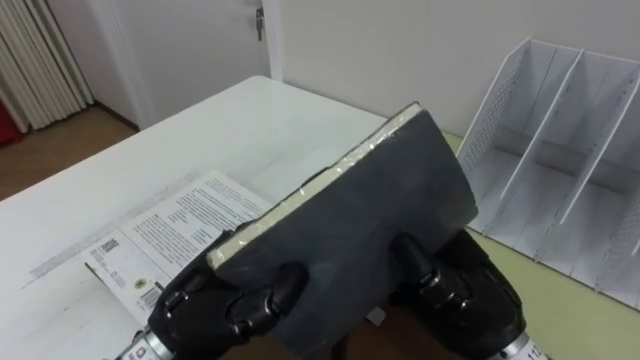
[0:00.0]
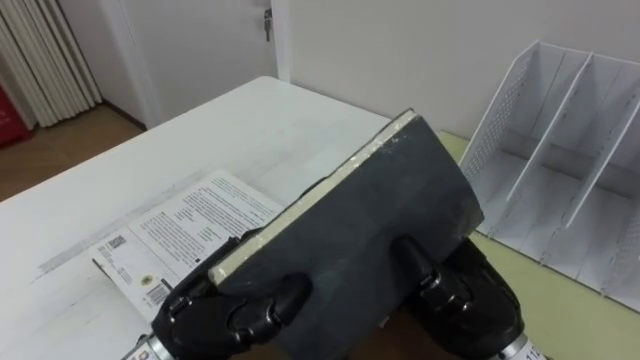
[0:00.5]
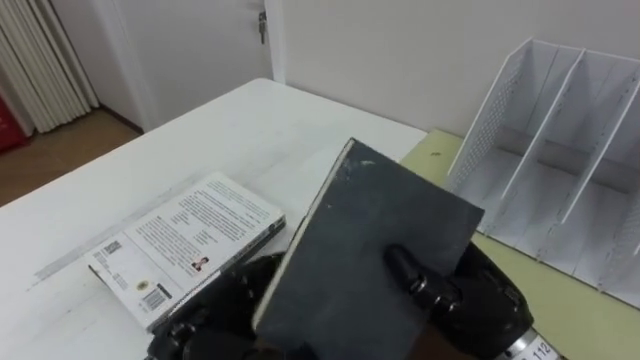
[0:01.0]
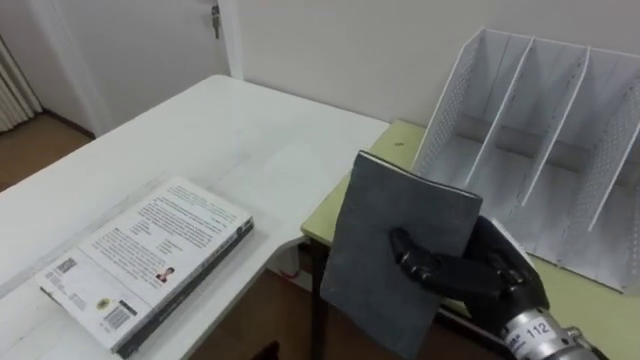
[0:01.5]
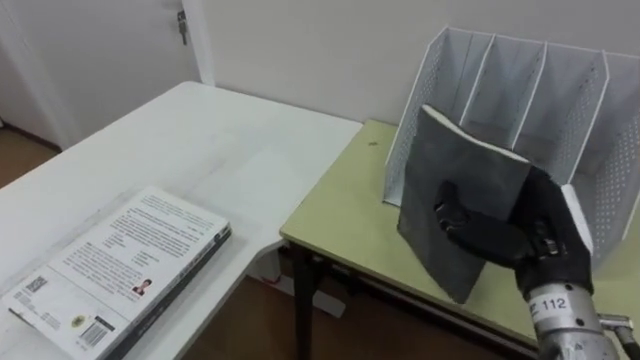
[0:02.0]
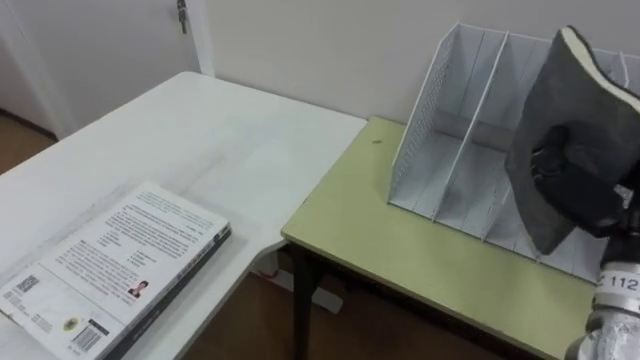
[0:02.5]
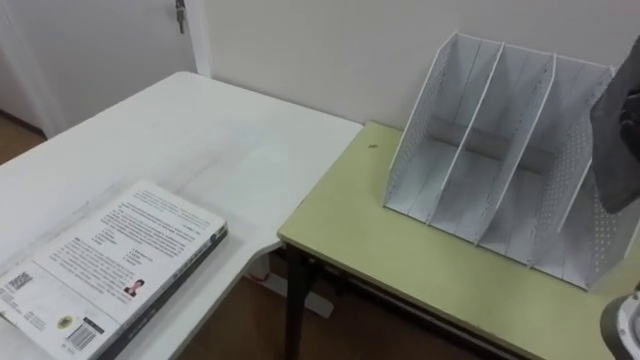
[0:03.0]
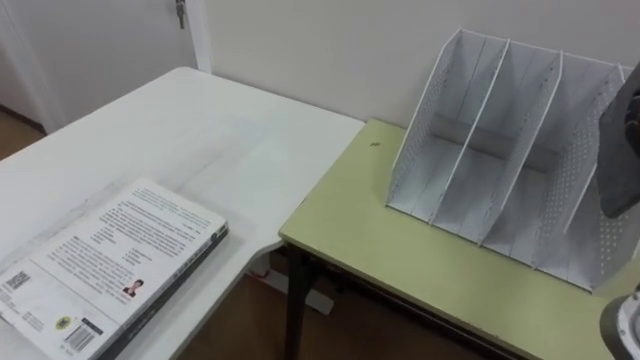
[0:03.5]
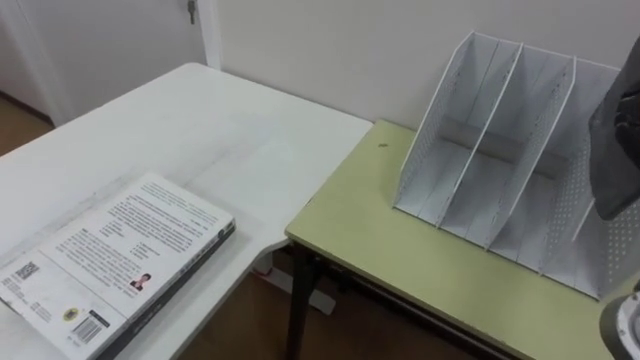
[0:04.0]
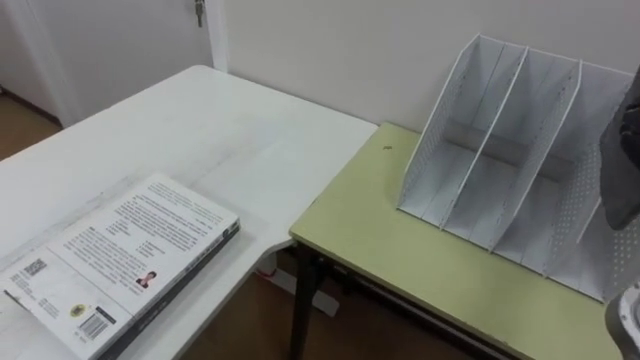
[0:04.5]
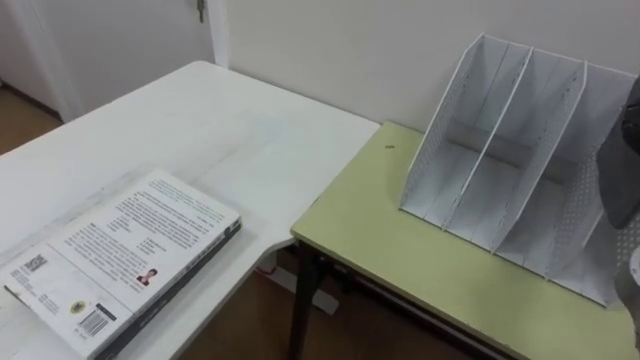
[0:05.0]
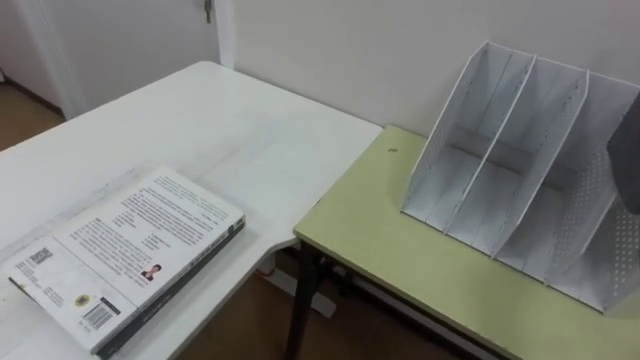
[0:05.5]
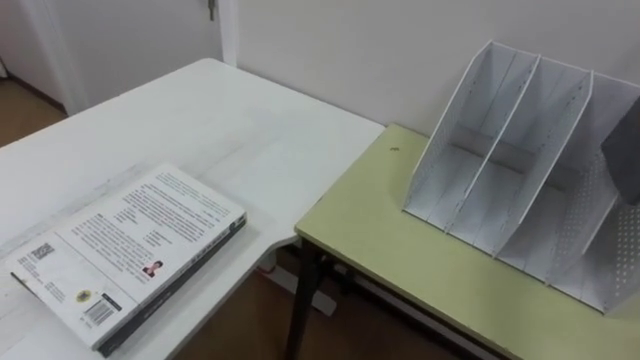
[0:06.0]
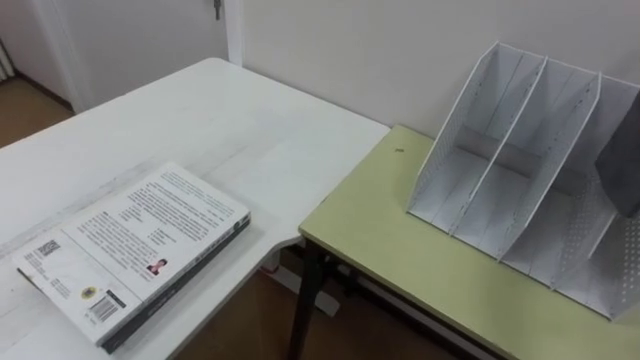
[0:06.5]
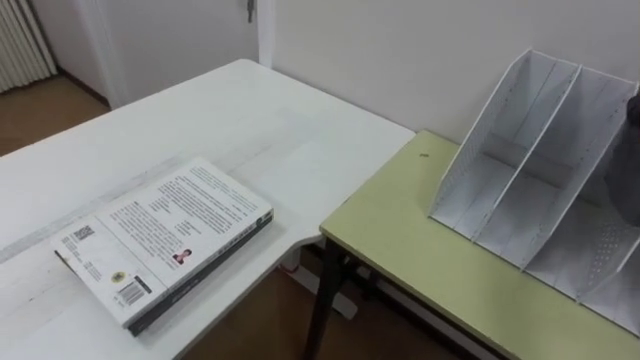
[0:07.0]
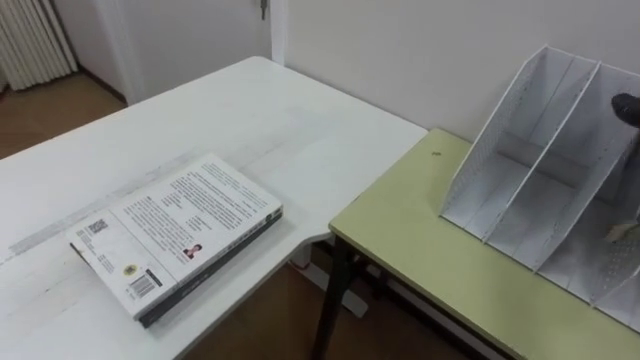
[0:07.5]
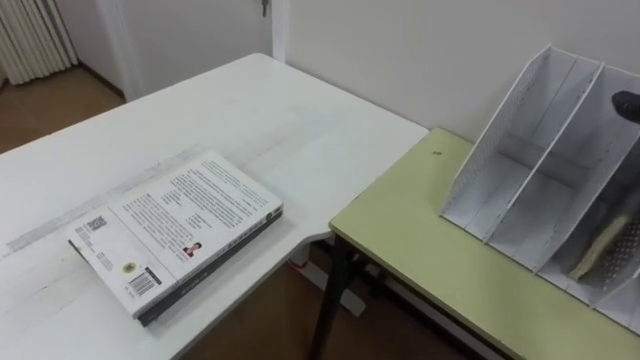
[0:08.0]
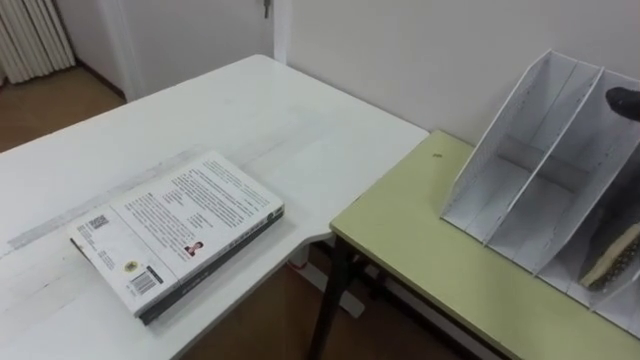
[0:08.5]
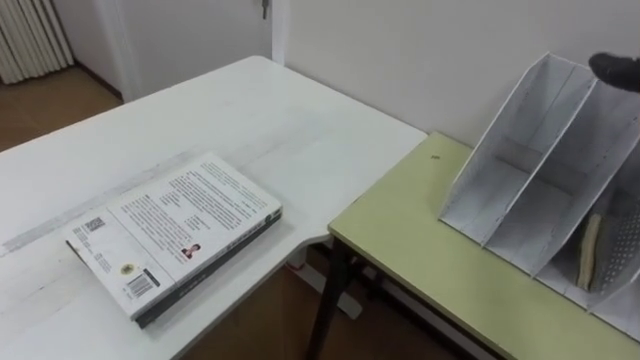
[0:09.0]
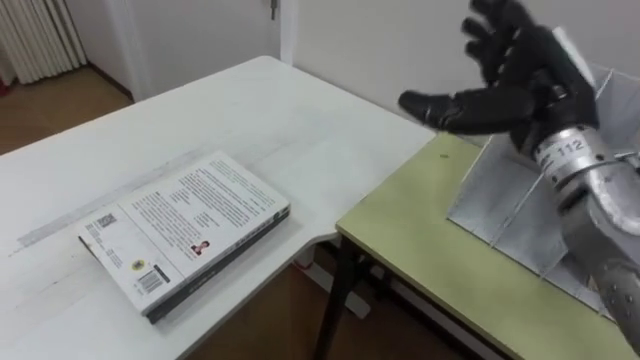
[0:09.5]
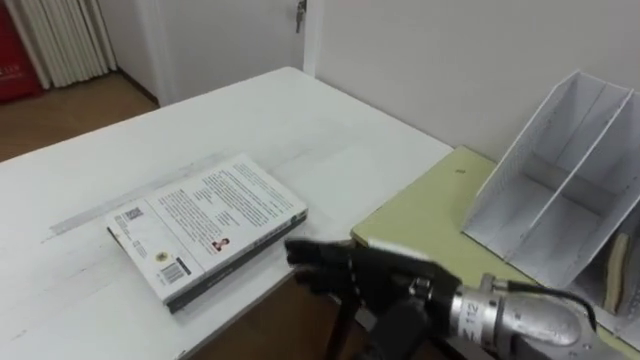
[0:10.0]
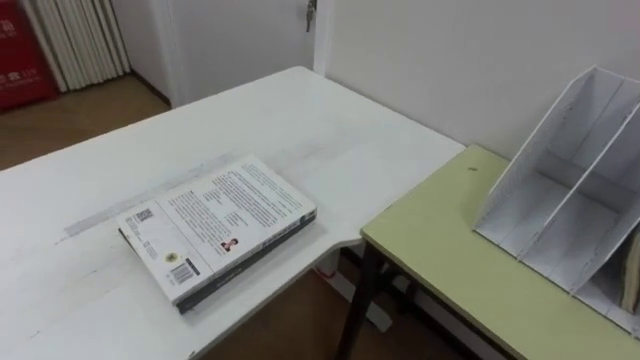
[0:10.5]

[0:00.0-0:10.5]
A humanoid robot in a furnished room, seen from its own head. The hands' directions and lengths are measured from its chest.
Task of the whole recording: Put the books on the table onto the bookshelf.
0:00.0 to 0:02.0: The right hand moves to the right, approximately 10 cm.

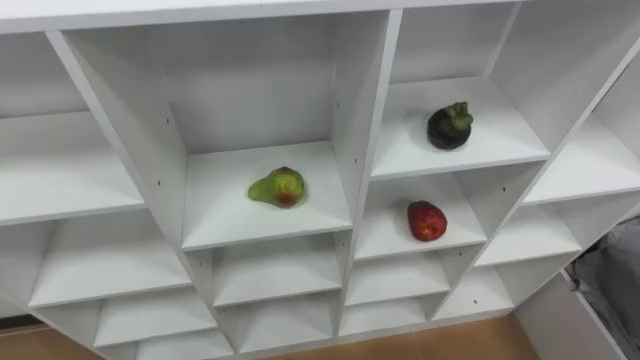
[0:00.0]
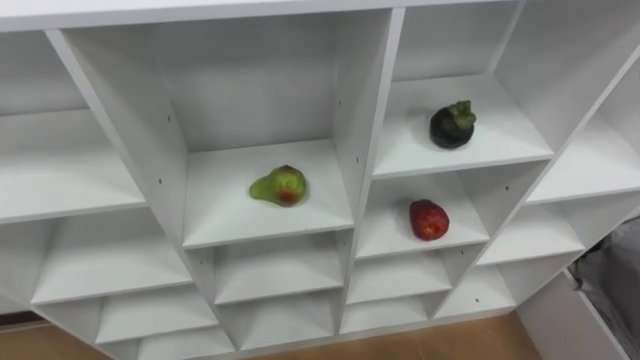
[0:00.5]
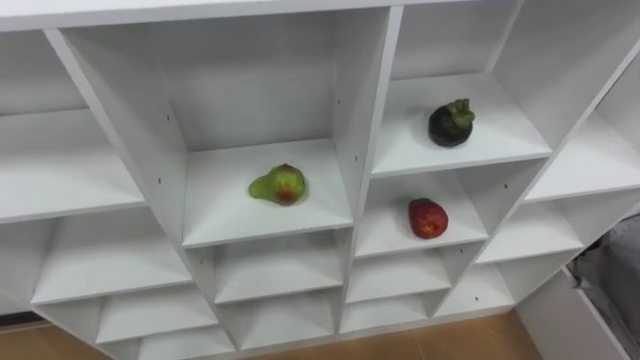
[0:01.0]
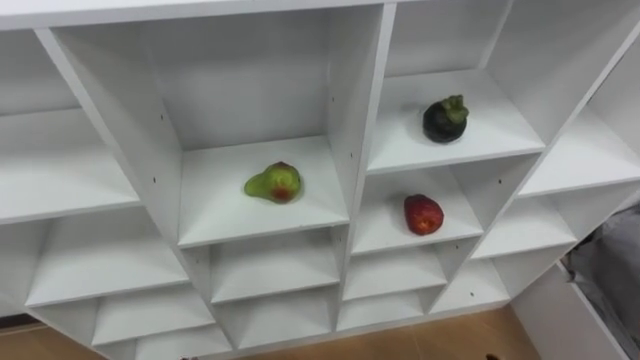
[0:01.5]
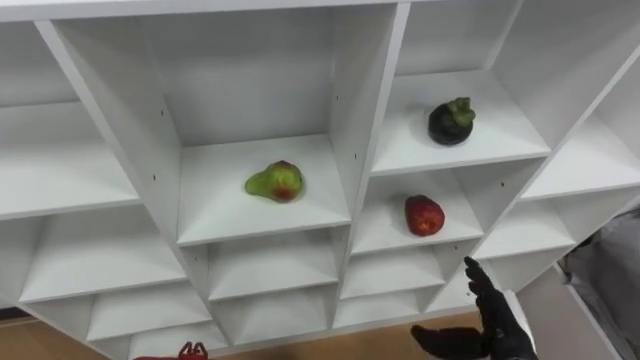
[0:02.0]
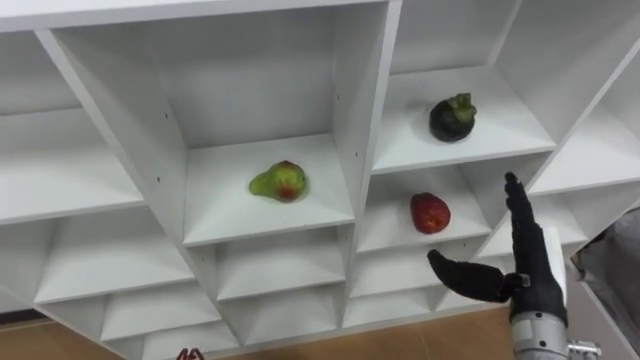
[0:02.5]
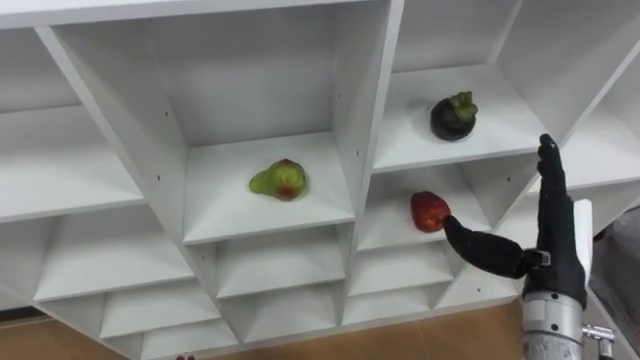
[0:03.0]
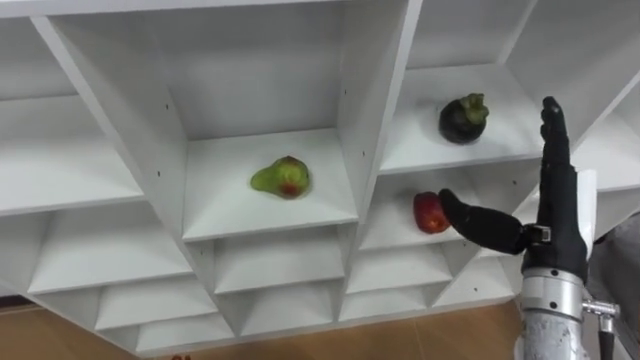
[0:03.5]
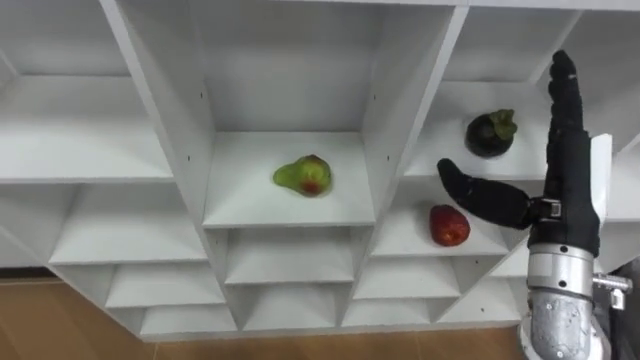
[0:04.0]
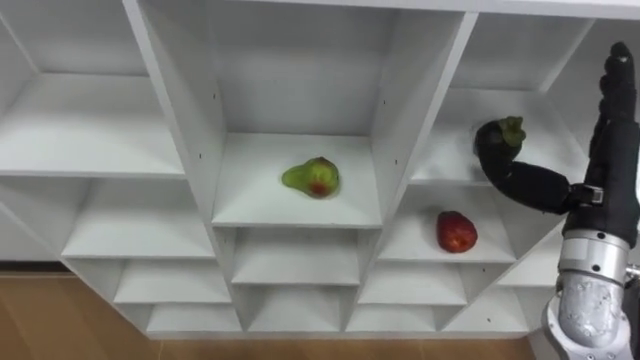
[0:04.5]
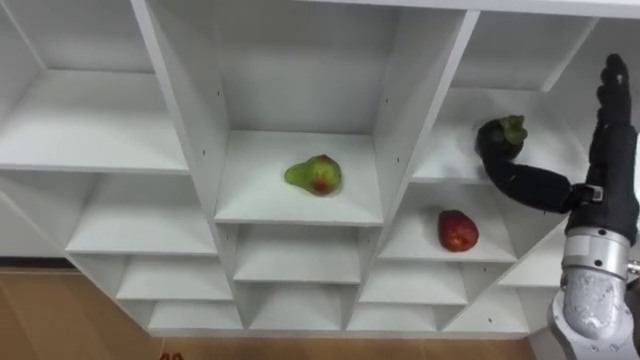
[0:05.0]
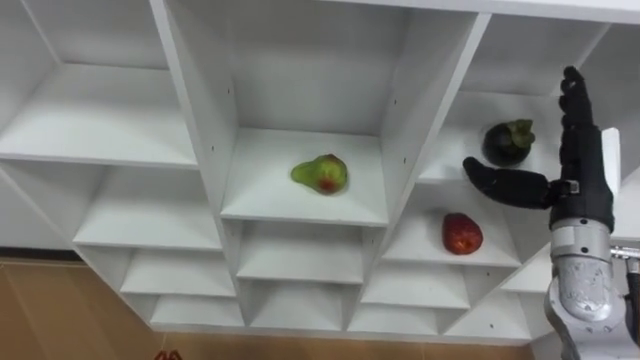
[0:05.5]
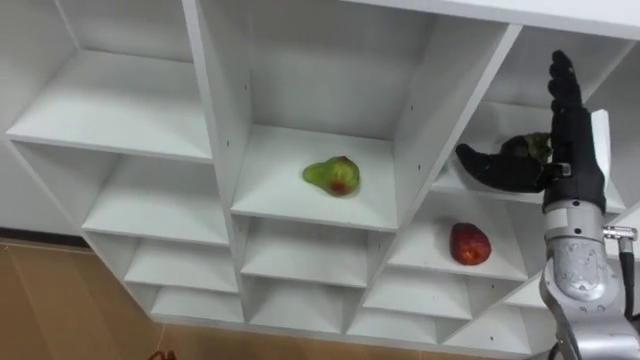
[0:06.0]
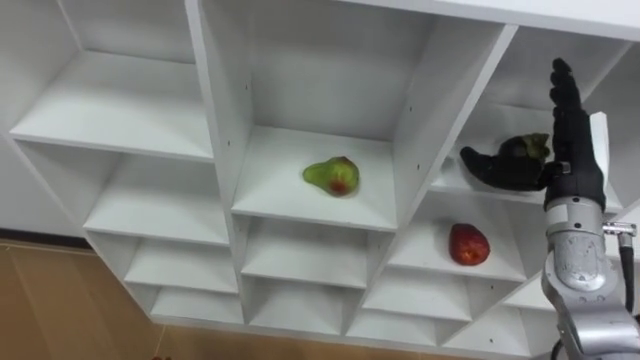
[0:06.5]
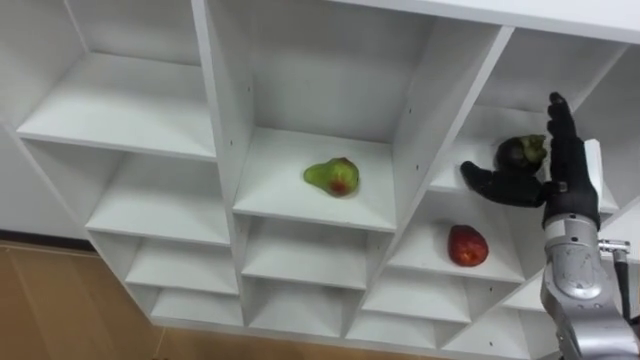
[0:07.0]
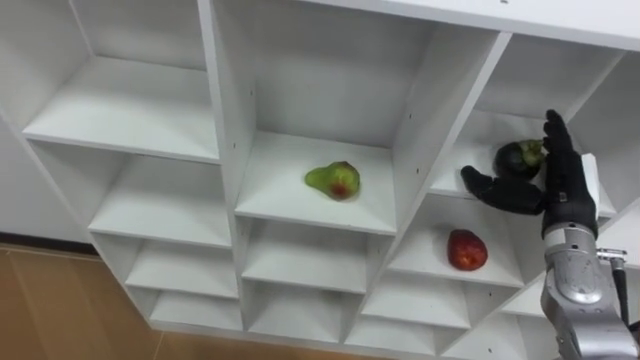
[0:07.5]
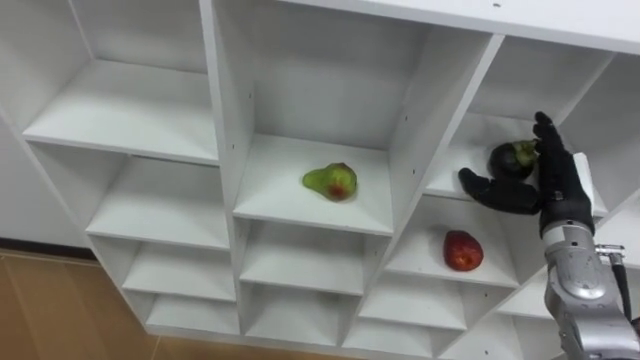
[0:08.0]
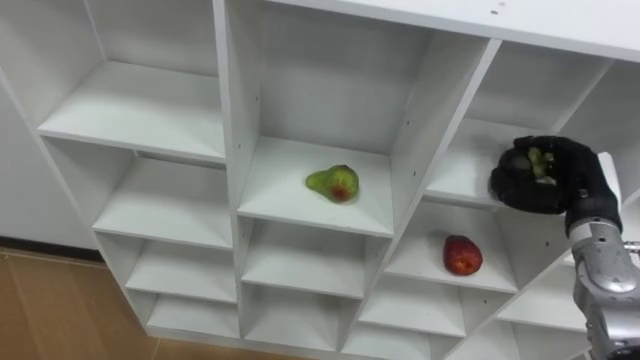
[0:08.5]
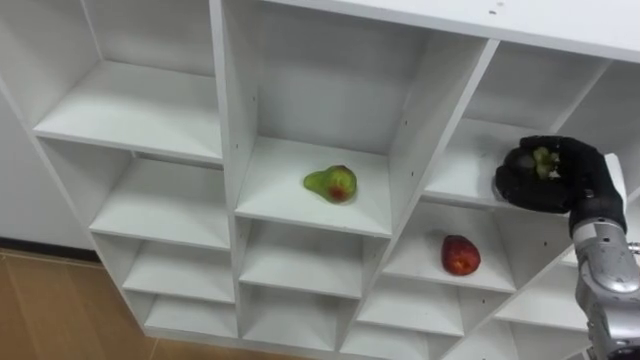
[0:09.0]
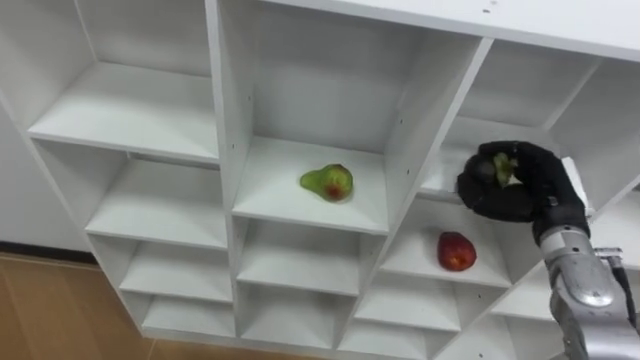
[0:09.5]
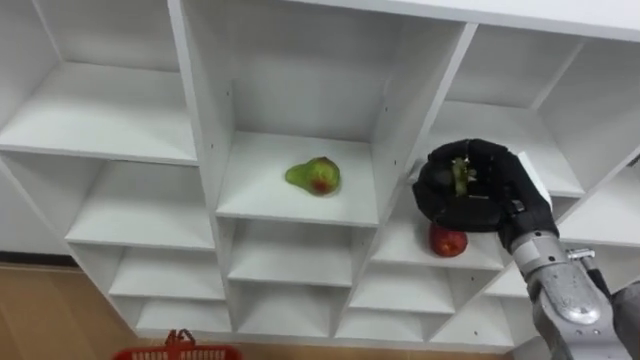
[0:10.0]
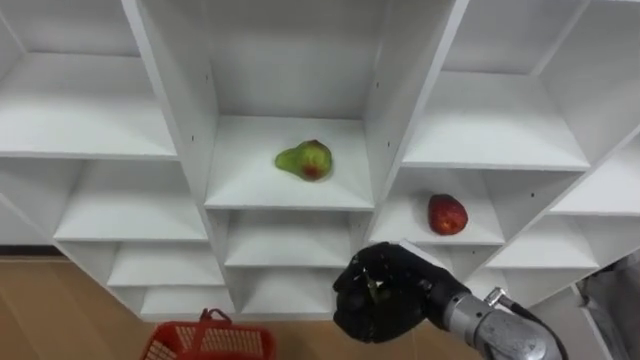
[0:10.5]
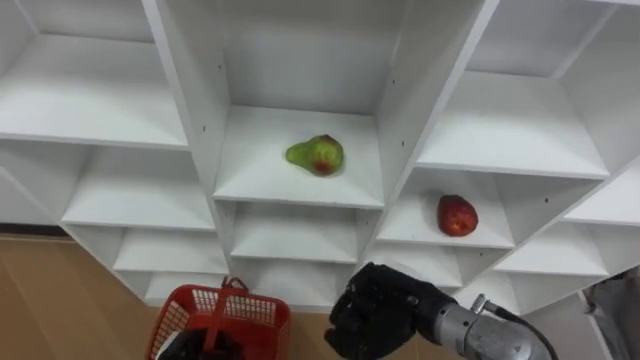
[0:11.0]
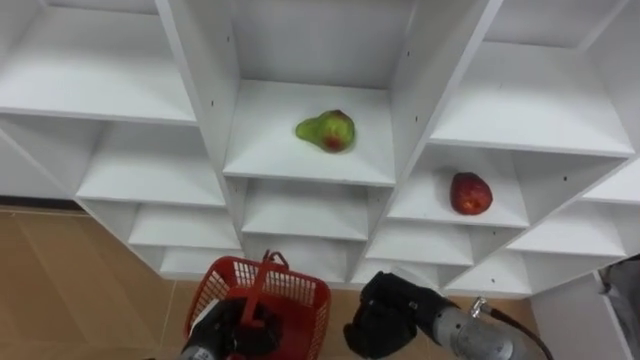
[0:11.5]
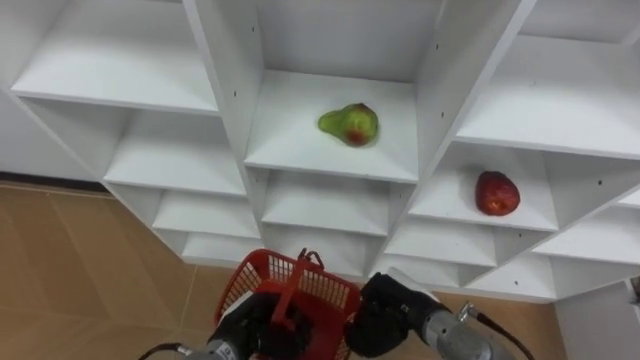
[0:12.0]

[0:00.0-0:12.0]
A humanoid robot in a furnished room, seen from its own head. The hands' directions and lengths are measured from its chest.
Task of the whole recording: Hold the basket and collect the fruits from 3 different cells of the closet into it.
0:02.0 to 0:04.0: The right hand travels upward by about 20 cm.
0:04.0 to 0:06.0: The right hand shifts some 5 cm forward.
0:06.0 to 0:08.0: The right hand shifts roughly 10 cm downward.
0:08.0 to 0:10.0: The right hand is displaced to the left by some 5 cm, and closes.
0:10.0 to 0:12.0: The right hand is displaced downward, to the left and backward by approximately 20 cm.
